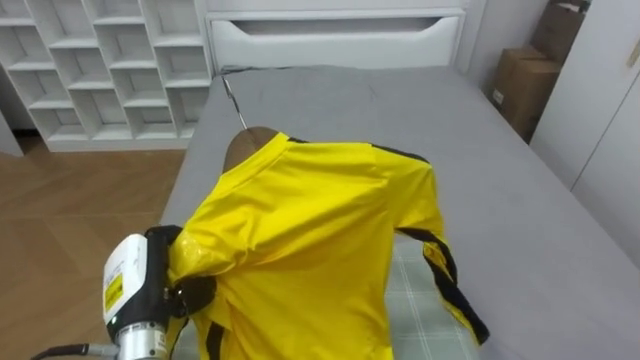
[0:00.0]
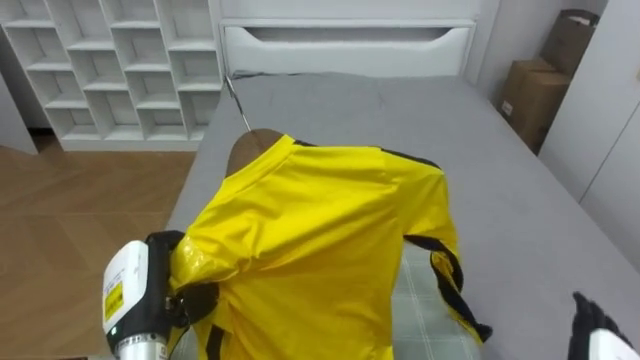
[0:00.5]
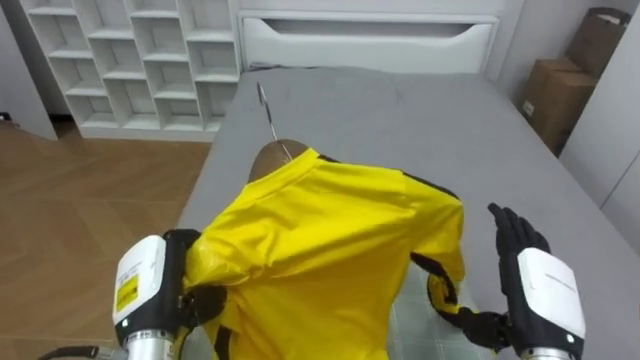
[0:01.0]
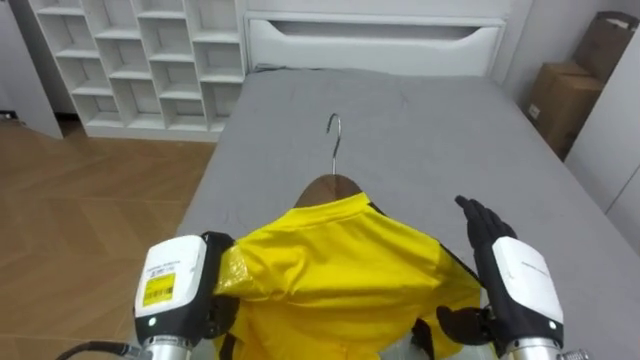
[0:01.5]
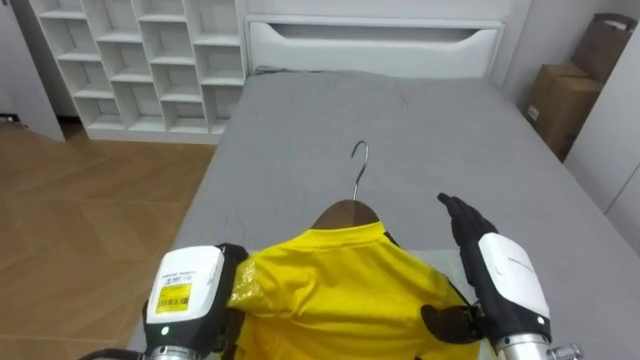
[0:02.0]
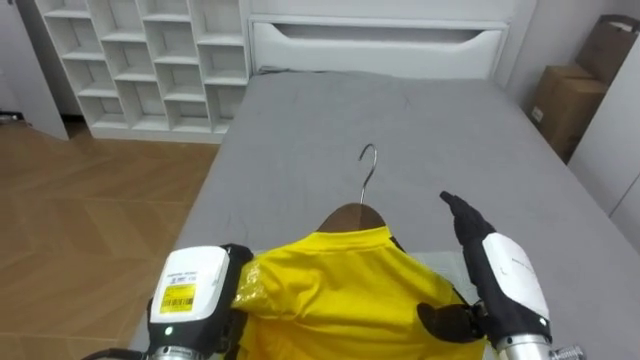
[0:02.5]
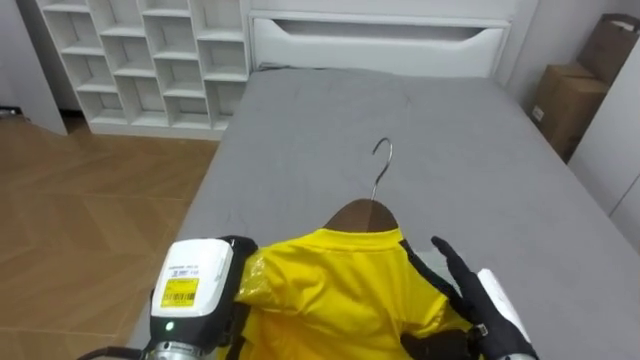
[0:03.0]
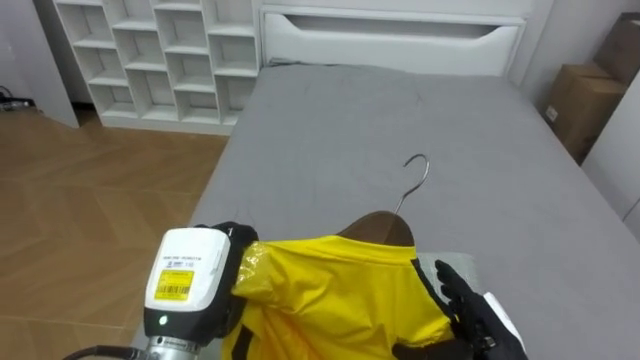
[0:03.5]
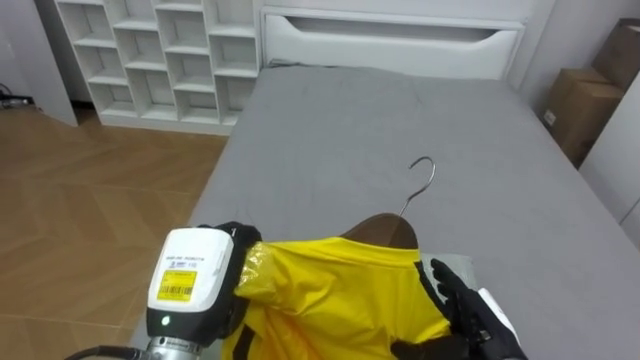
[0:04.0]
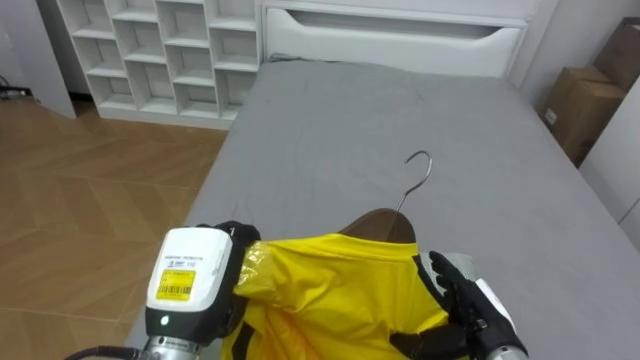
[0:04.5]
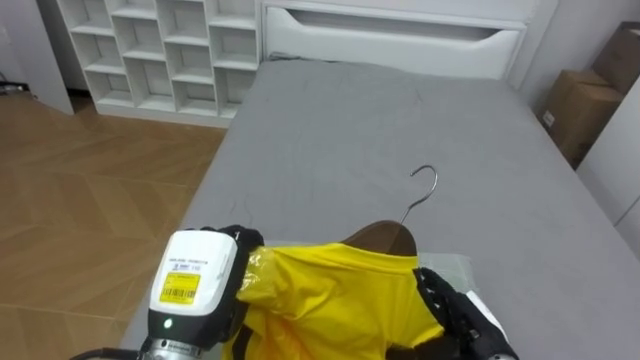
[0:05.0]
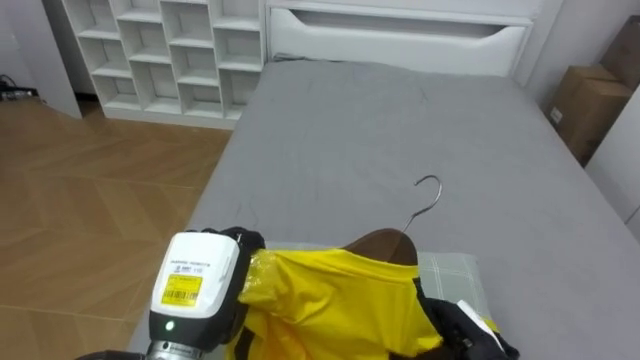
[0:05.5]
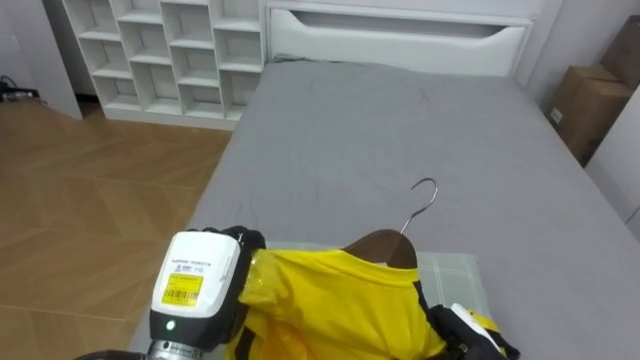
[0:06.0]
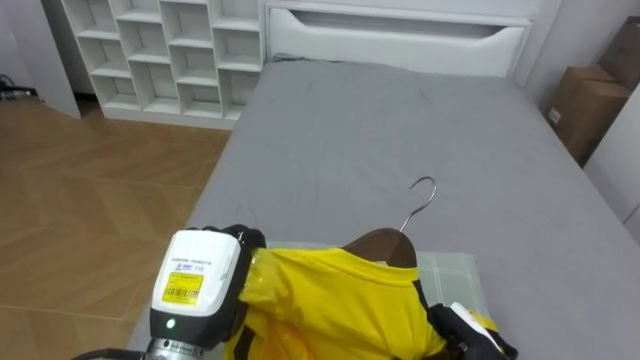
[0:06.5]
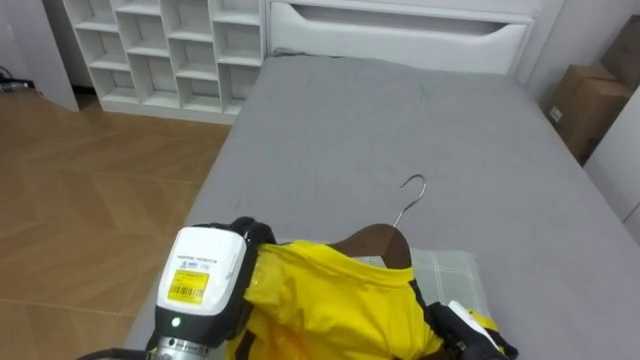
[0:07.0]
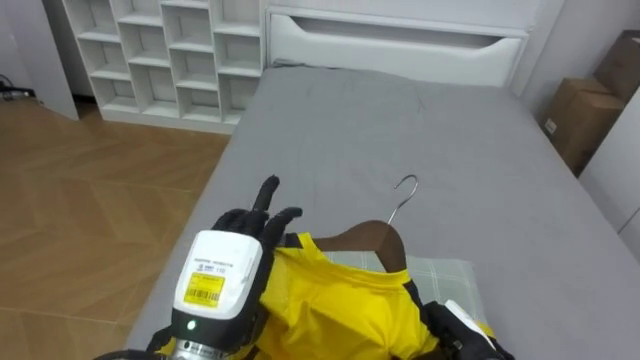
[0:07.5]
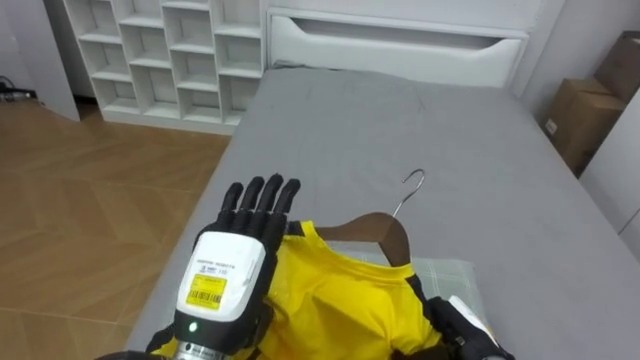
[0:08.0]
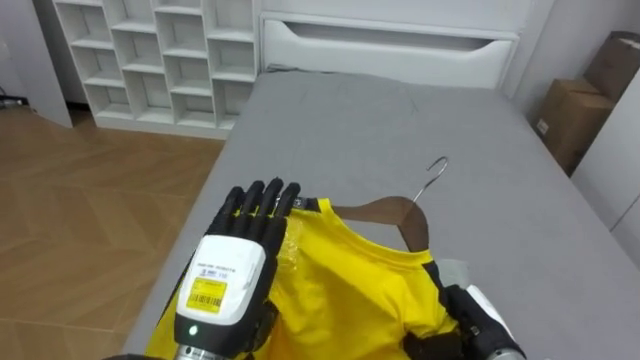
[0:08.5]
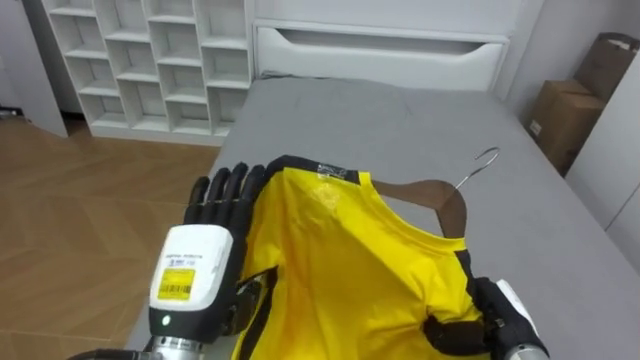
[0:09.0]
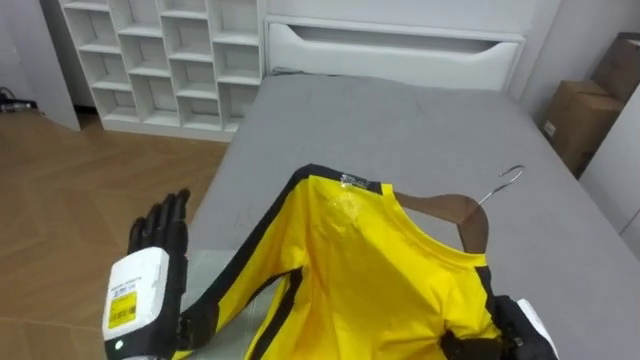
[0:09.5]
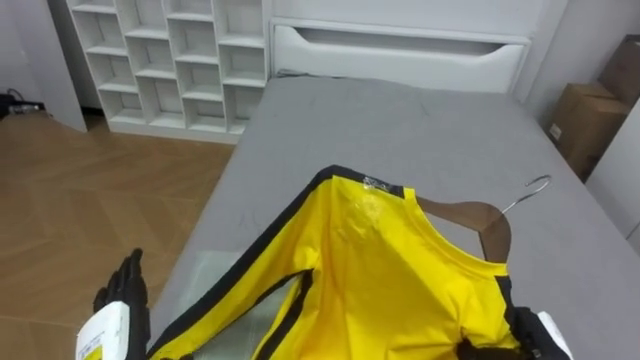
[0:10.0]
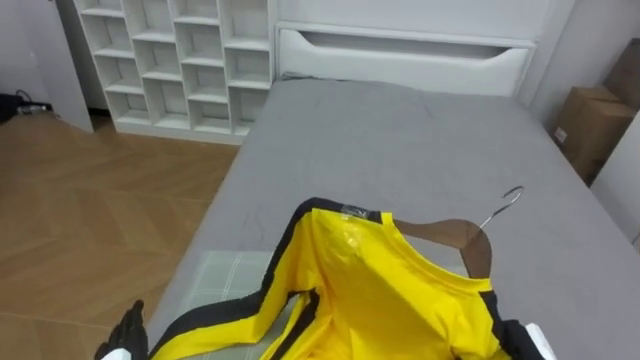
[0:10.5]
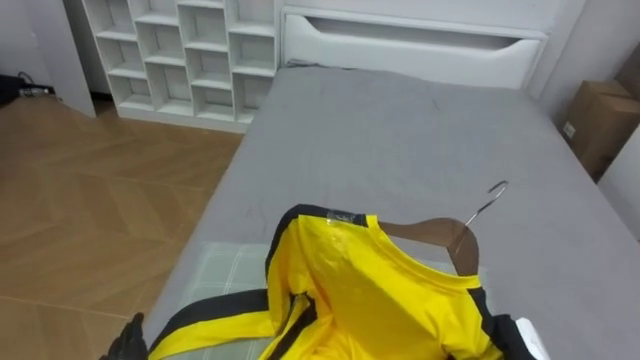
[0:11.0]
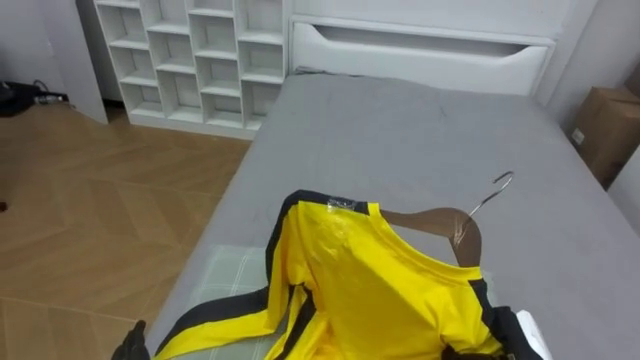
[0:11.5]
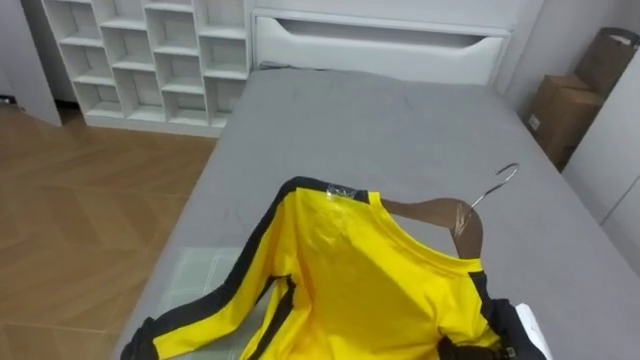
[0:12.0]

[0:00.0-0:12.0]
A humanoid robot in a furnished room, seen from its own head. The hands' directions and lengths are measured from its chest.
Task of the whole recording: Pick up the yellow shirt on the bed and hang it on the clothes rack on the right.
0:00.0 to 0:02.0: The left hand is displaced to the right by roughly 5 cm.
0:02.0 to 0:04.0: The right hand is displaced downward by some 10 cm.
0:04.0 to 0:06.0: The right hand closes its fingers.
0:06.0 to 0:08.0: The left hand opens.
0:08.0 to 0:10.0: The right hand moves to the right, approximately 10 cm. Meanwhile the left hand goes roughly 15 cm to the left and downward.

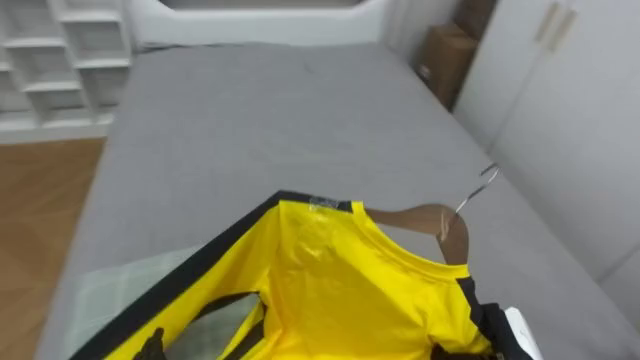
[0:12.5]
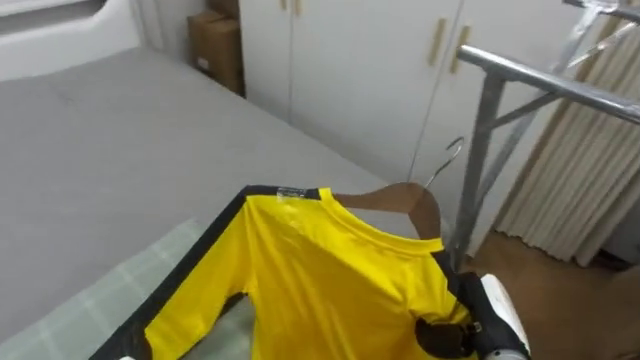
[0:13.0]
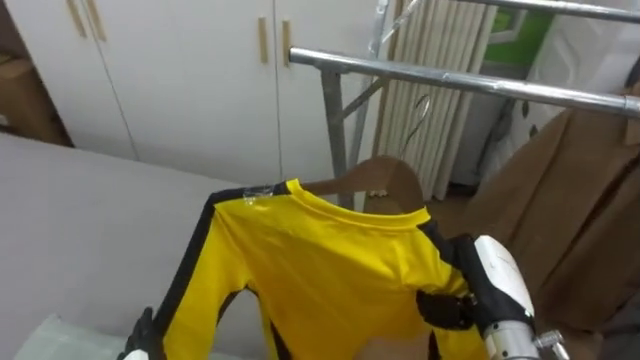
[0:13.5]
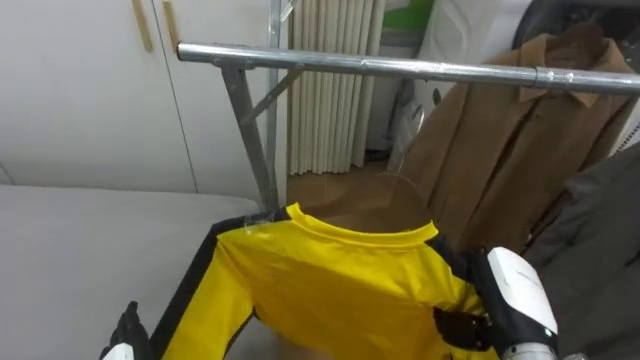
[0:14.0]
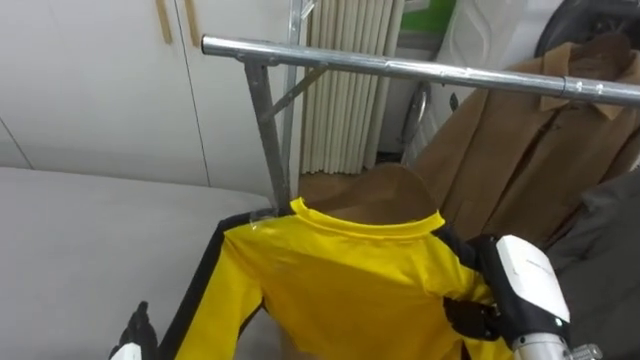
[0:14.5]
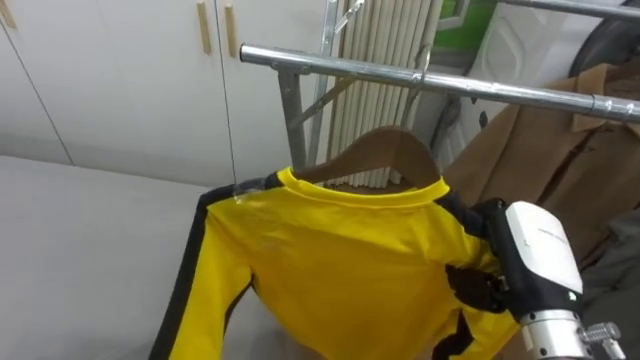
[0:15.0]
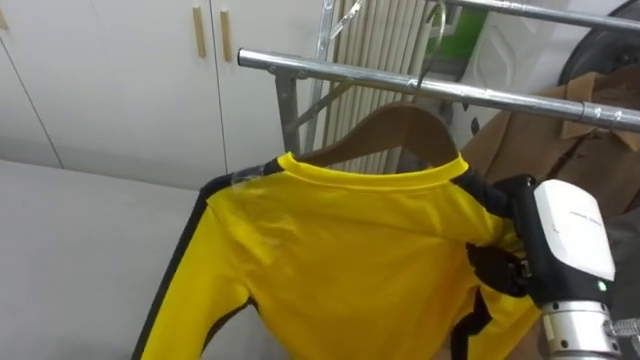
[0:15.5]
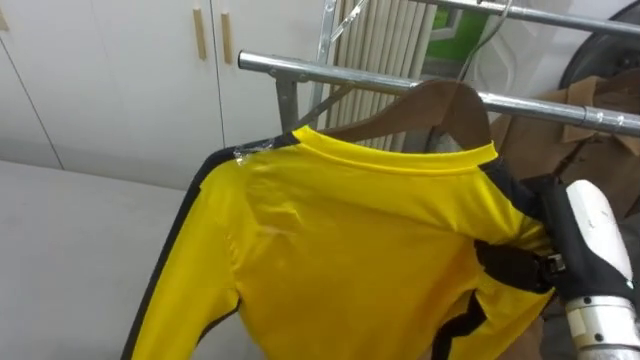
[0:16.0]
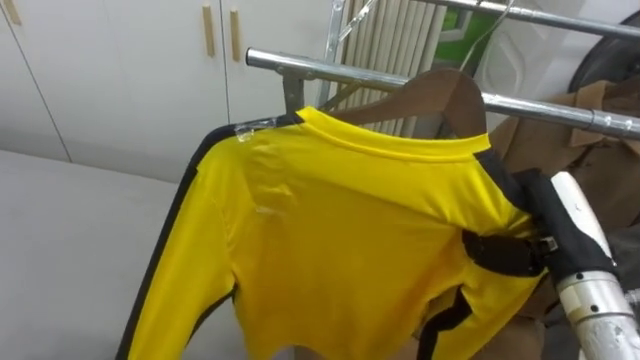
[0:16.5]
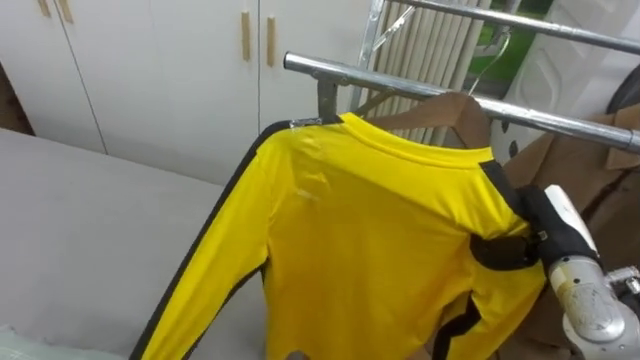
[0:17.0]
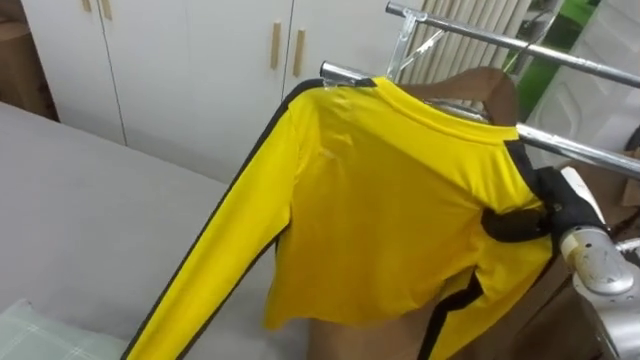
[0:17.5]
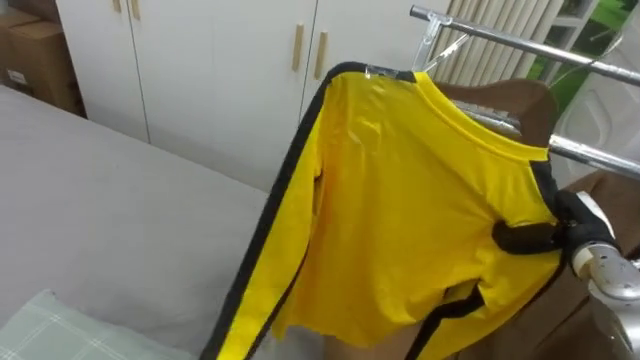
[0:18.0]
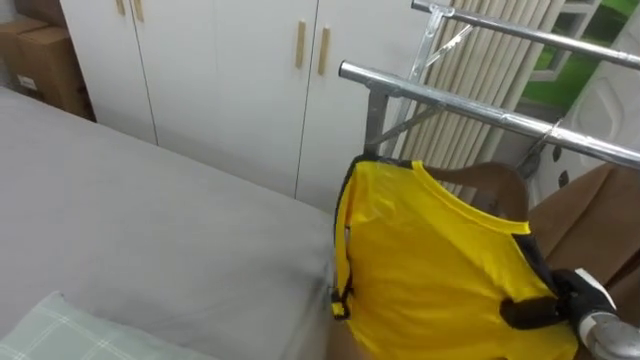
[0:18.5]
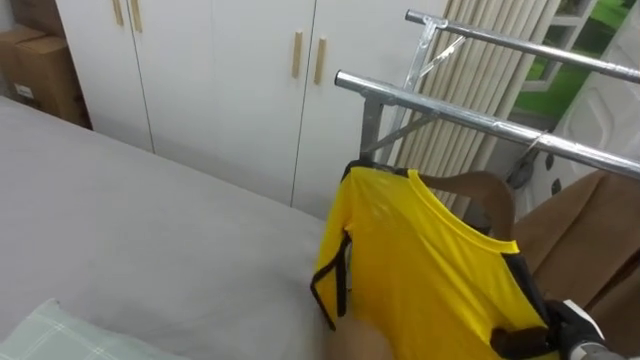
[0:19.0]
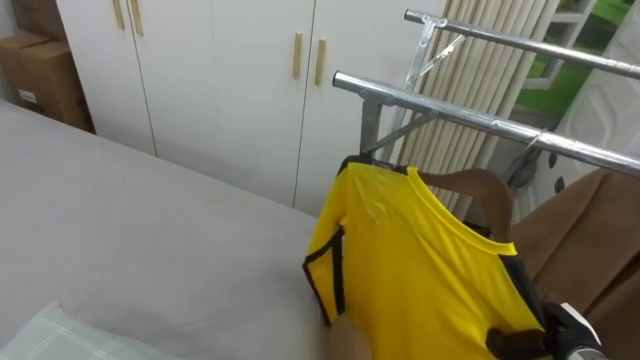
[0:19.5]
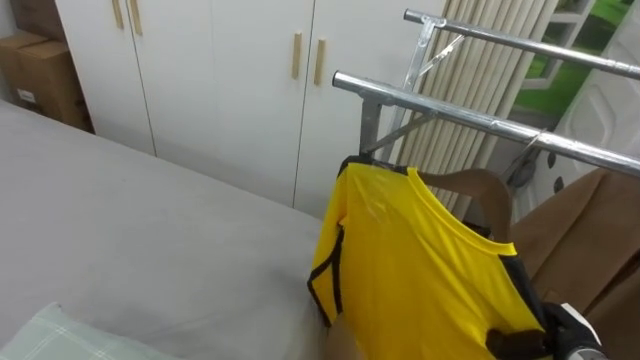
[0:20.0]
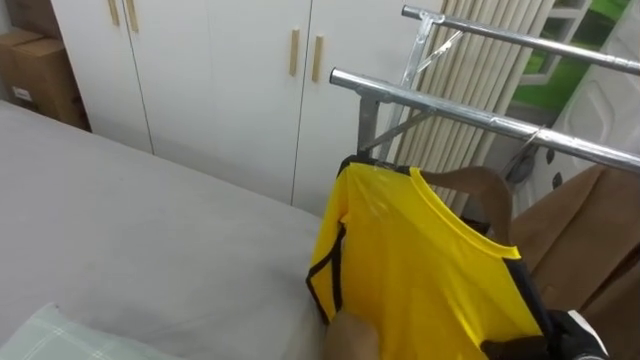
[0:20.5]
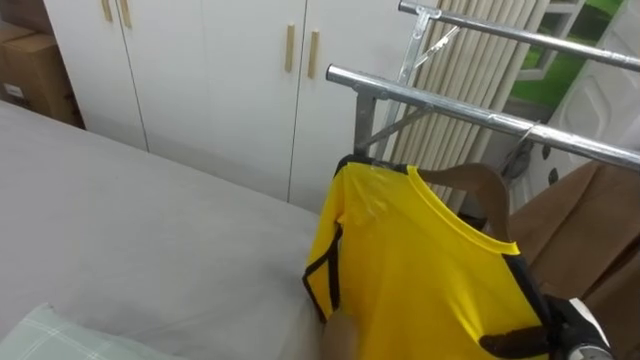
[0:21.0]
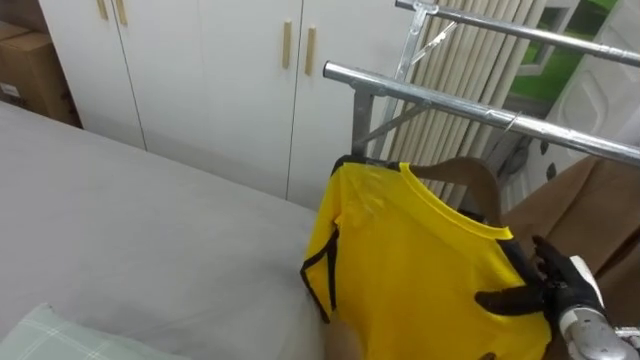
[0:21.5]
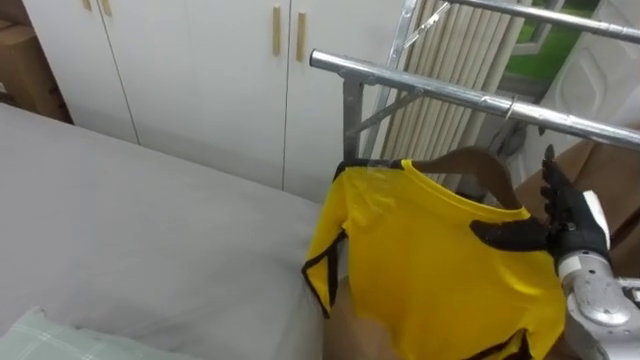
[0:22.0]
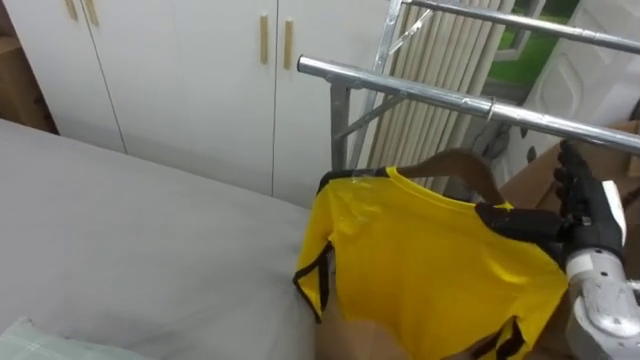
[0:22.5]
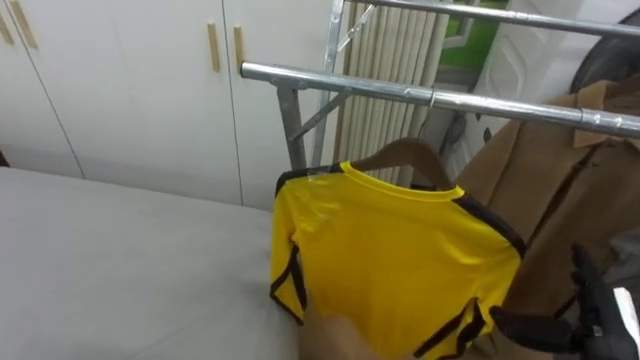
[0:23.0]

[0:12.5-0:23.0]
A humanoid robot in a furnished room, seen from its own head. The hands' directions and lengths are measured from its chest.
Task of the whole recording: Pick up the yellow shirt on the bed and hang it on the clothes rack on the right.
0:12.5 to 0:14.5: The robot rotates about 75 degrees to its right. The right hand shifts some 10 cm upward.
0:14.5 to 0:16.5: The right hand moves upward, approximately 5 cm.
0:16.5 to 0:19.0: The right hand is displaced downward by approximately 20 cm.
0:19.0 to 0:21.0: The right hand opens up.
0:21.0 to 0:23.0: The right hand heads upward, covering about 10 cm.
